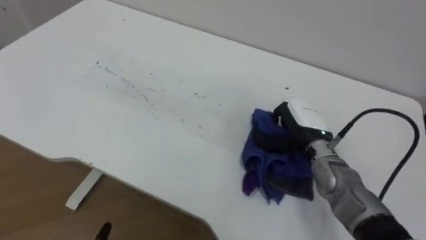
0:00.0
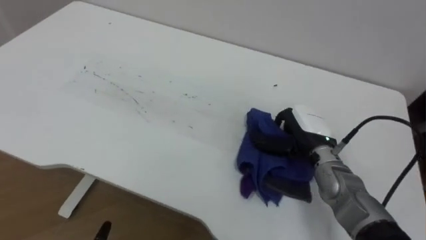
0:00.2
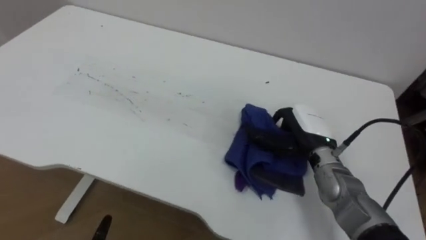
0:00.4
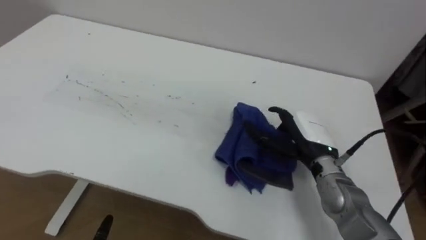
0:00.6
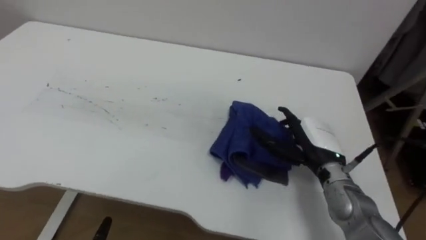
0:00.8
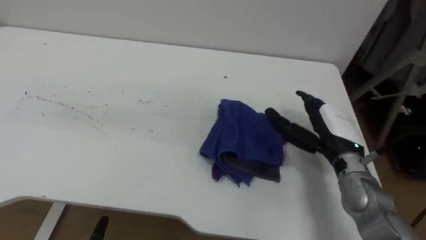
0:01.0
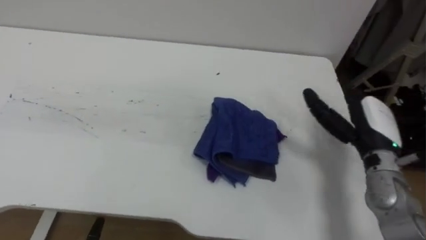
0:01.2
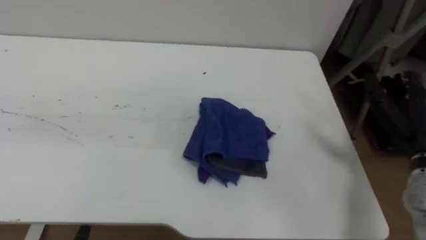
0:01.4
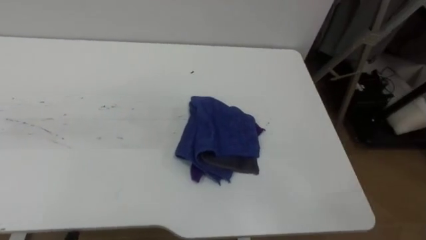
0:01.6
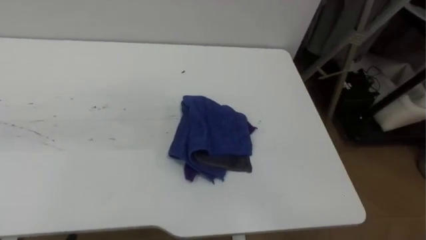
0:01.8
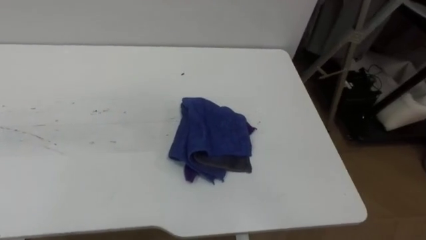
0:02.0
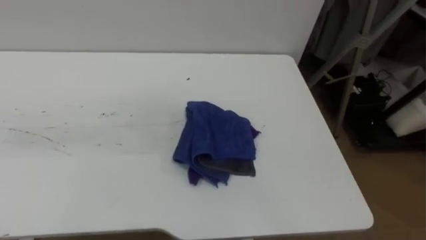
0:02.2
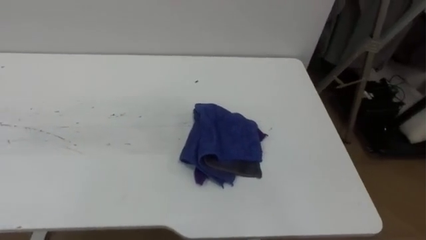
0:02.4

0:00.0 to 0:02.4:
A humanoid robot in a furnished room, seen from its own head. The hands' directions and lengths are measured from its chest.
Task of the whole recording: Wipe the blue pen marks off the table with the rag.
0:00.0 to 0:01.2: The right hand shifts approximately 10 cm to the right, and opens up.

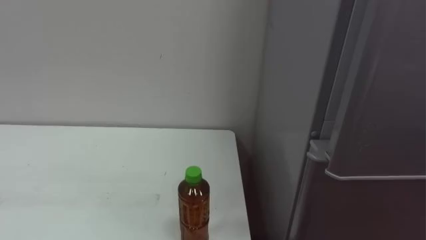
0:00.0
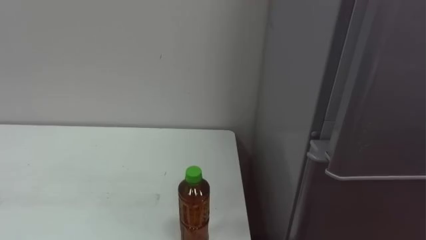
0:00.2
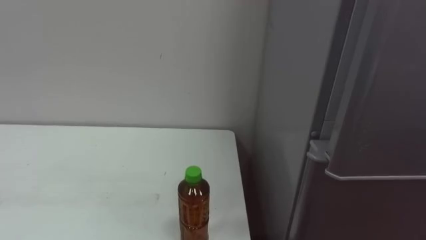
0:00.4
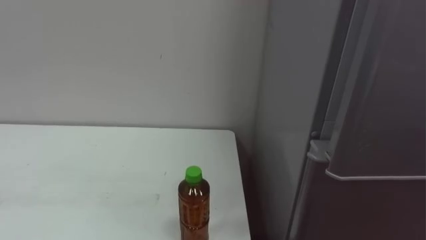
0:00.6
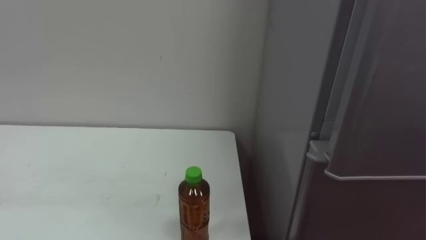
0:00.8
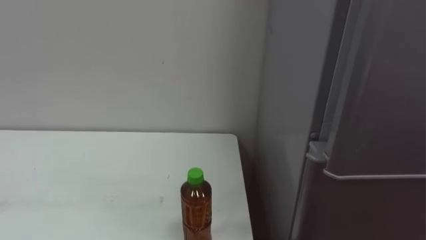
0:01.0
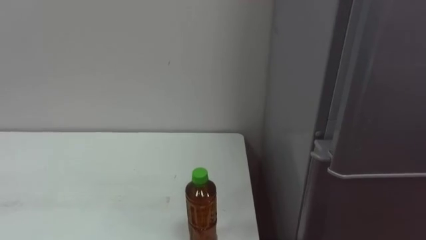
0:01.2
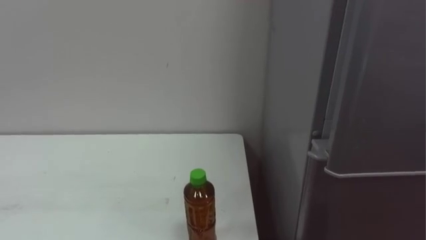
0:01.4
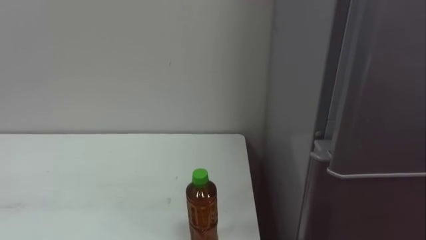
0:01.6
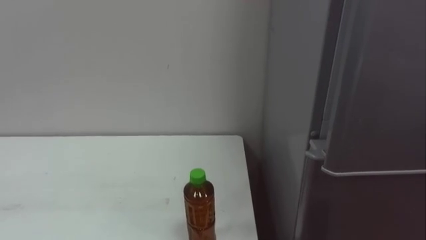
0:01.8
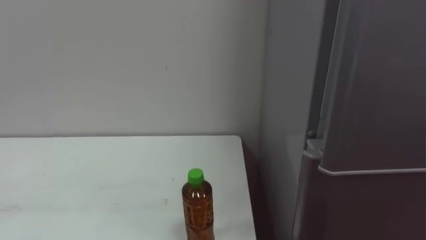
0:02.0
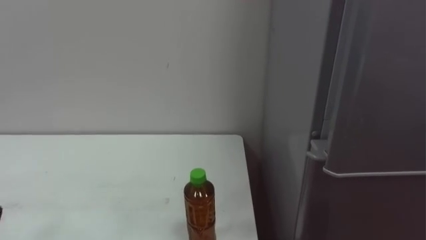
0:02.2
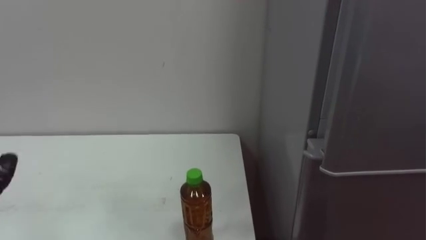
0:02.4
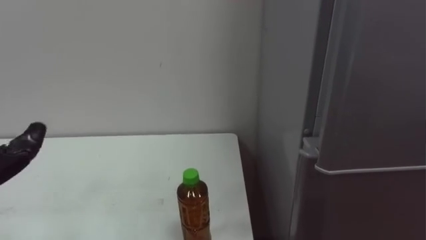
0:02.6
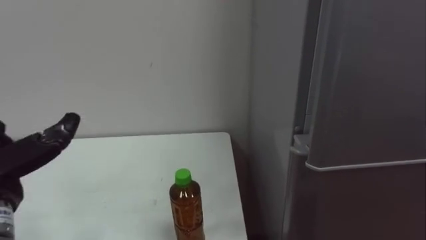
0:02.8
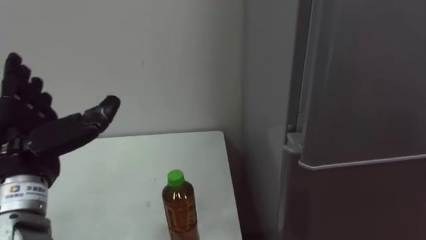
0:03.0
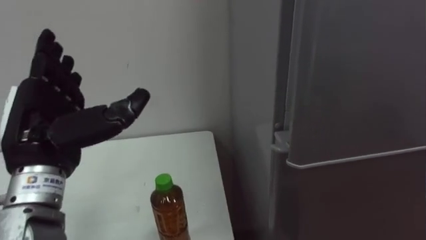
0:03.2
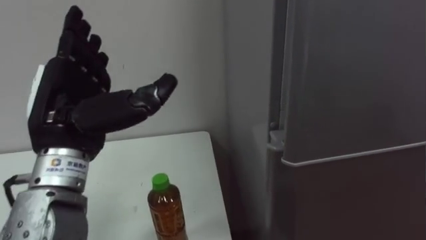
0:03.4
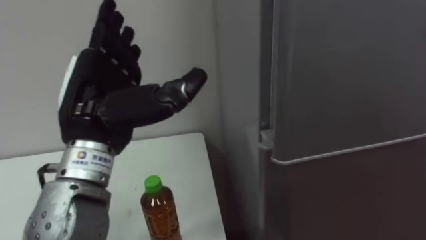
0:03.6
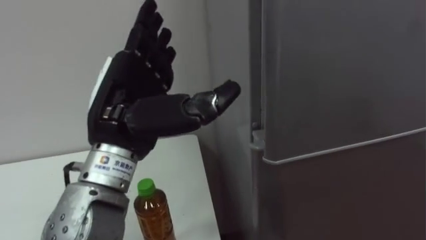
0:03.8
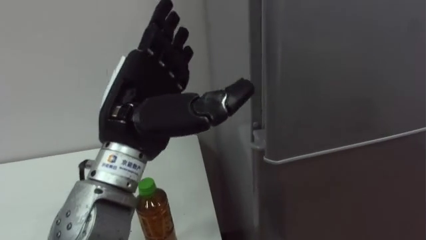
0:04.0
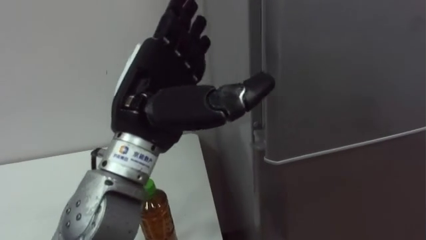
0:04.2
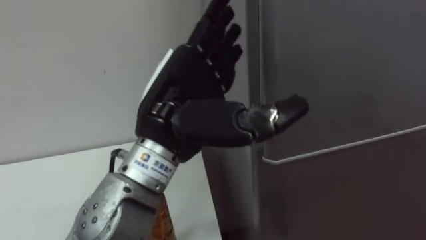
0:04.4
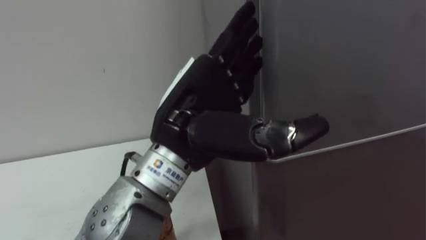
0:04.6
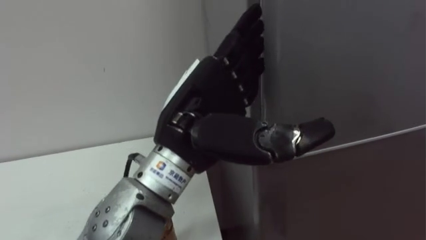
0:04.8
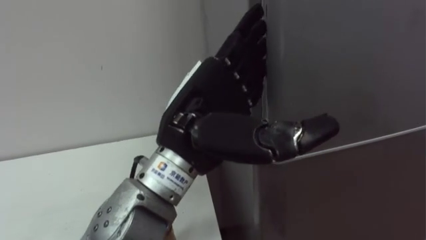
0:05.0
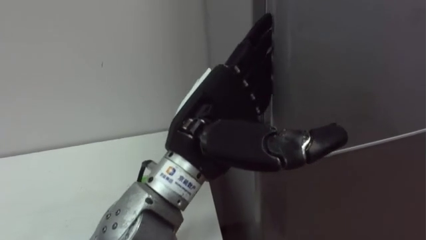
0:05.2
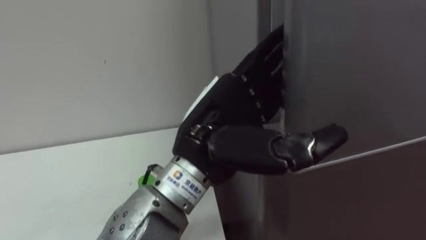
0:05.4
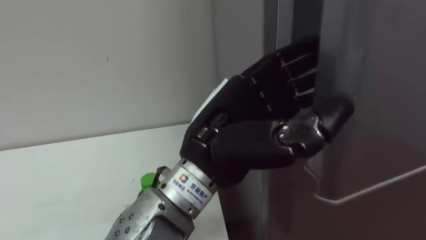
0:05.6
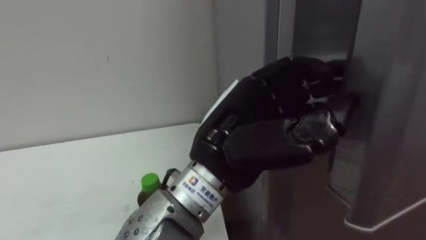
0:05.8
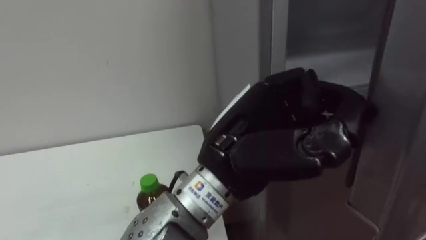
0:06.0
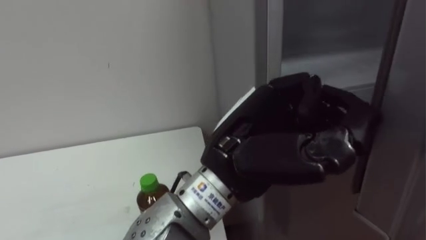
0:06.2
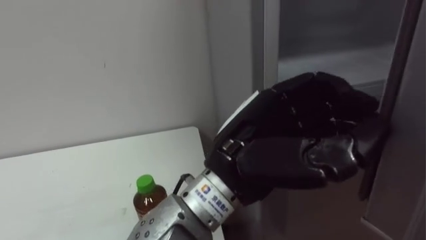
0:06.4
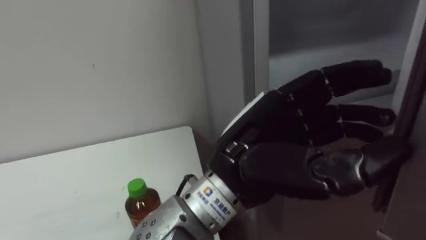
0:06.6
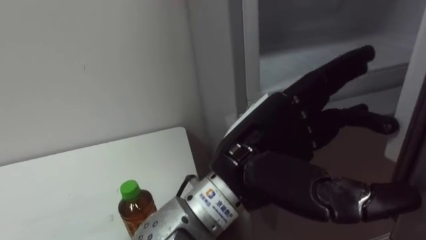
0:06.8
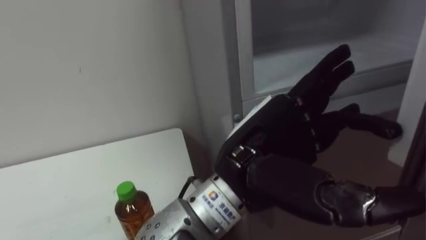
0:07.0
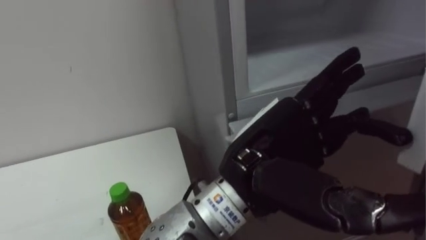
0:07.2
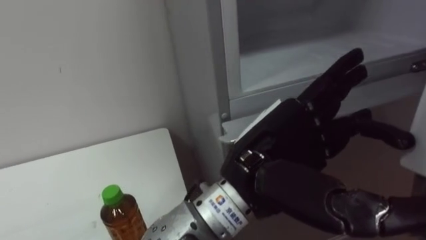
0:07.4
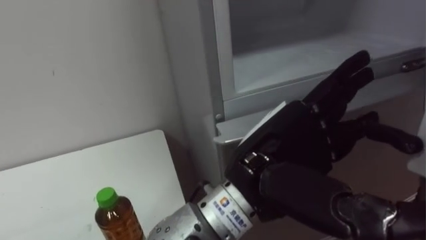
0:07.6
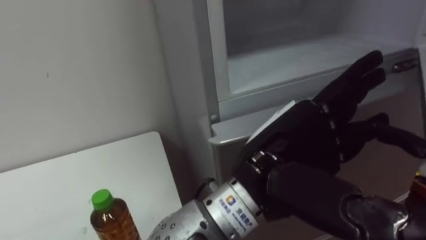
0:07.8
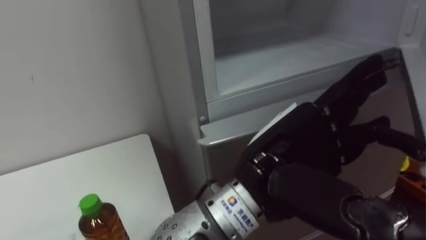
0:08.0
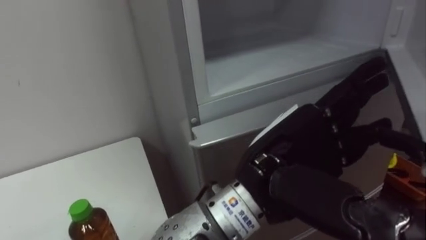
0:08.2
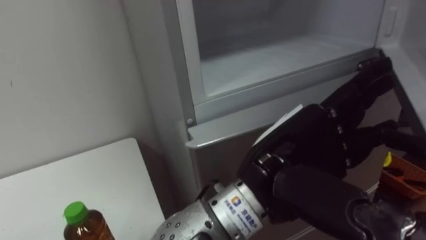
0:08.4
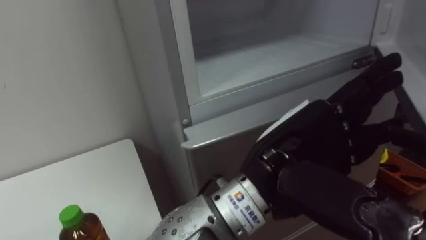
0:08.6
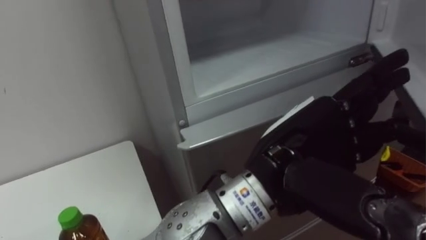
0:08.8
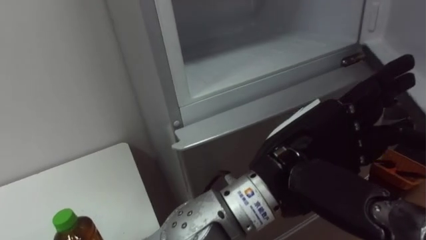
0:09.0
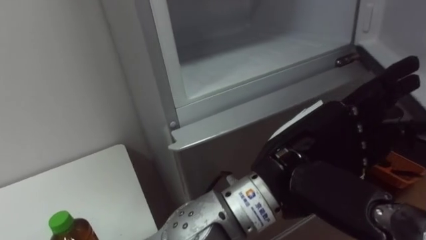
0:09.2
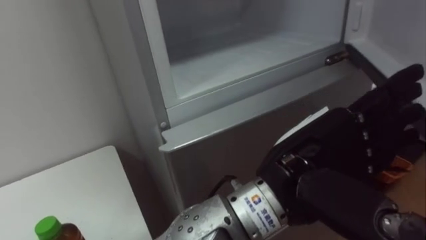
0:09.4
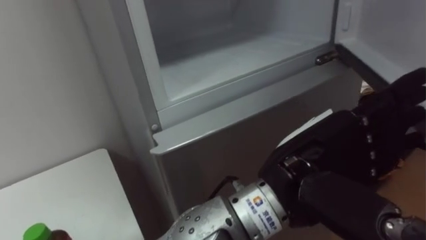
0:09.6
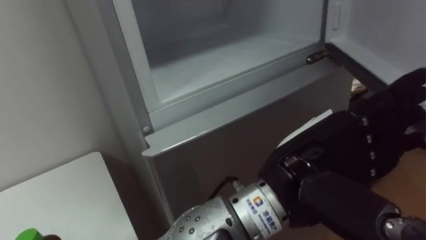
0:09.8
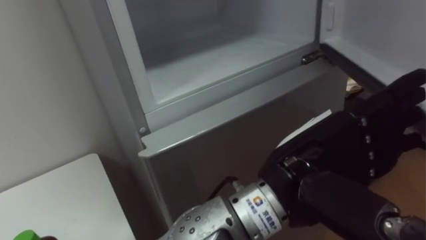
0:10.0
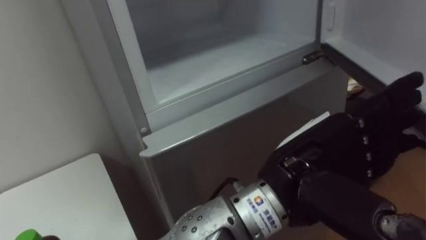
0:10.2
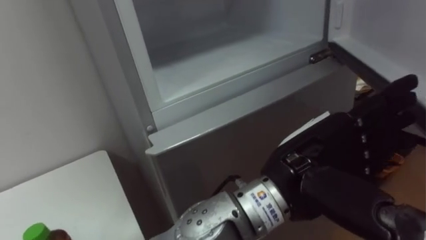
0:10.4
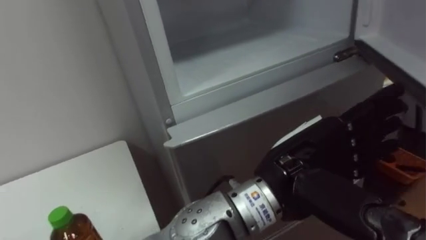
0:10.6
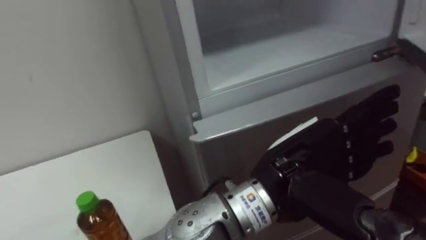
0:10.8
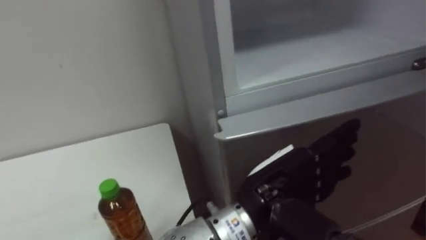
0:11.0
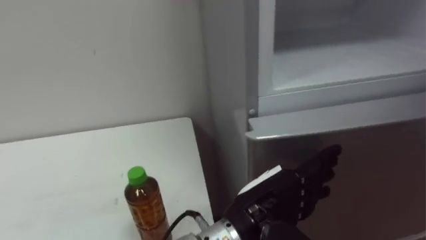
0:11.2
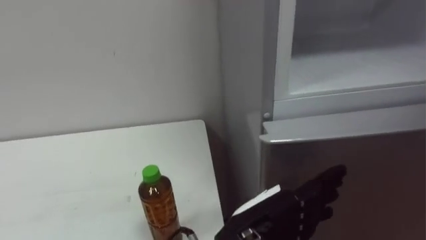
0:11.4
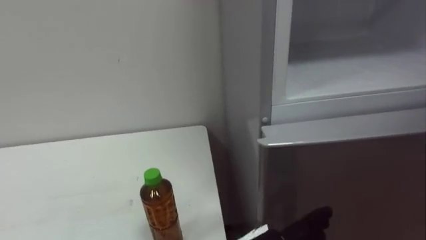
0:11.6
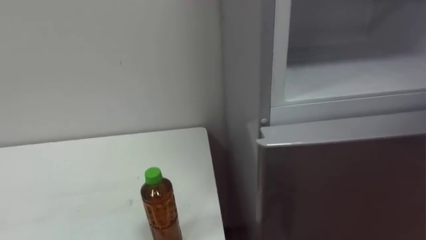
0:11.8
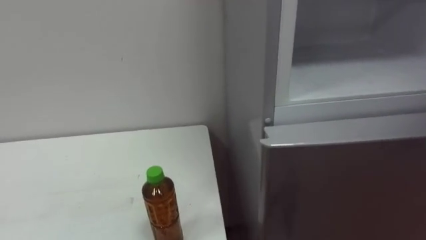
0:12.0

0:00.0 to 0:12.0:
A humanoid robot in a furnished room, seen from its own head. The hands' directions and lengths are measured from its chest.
Task of the whole recording: Open the upper refrigerator door, put the drink from the table into the refrigerator, and then close the refrigerator door.
0:03.0 to 0:04.4: The left hand is displaced to the right by some 20 cm.
0:04.4 to 0:06.0: The left hand moves to the right, roughly 5 cm, and closes up.
0:06.0 to 0:07.6: The left hand opens up.

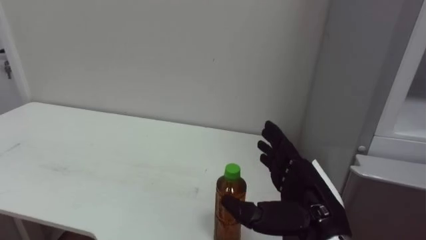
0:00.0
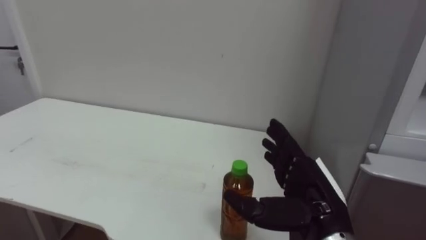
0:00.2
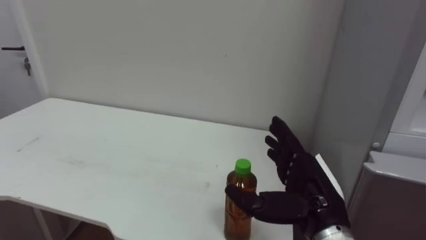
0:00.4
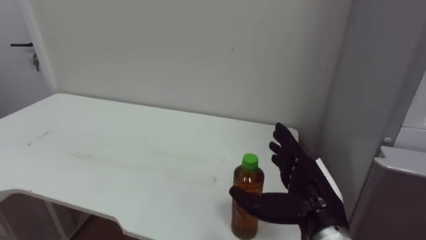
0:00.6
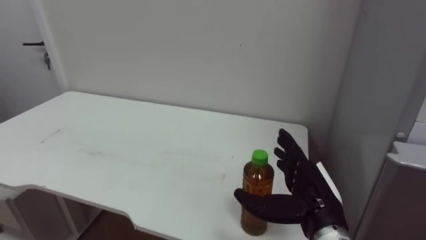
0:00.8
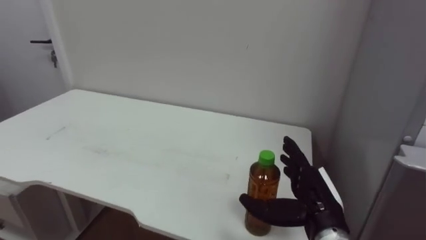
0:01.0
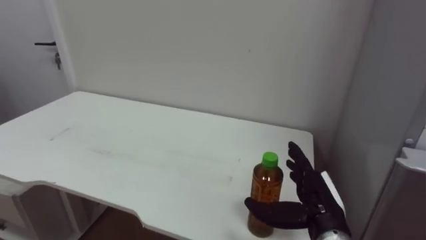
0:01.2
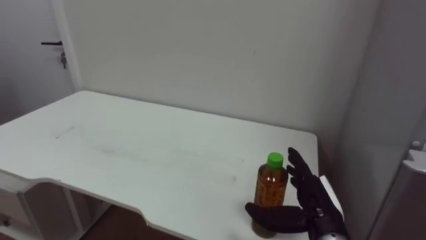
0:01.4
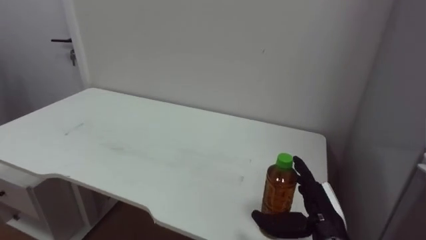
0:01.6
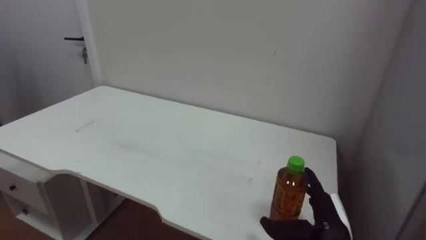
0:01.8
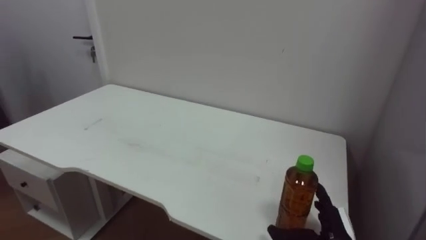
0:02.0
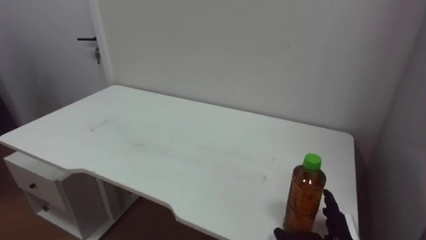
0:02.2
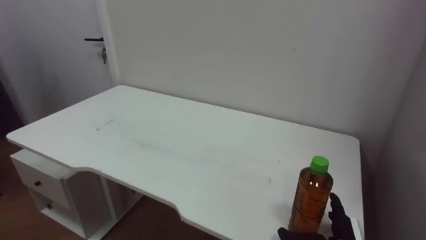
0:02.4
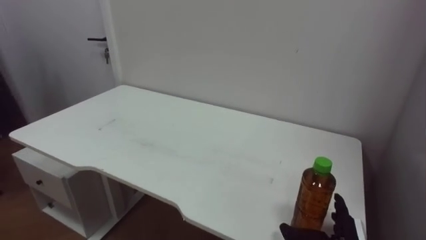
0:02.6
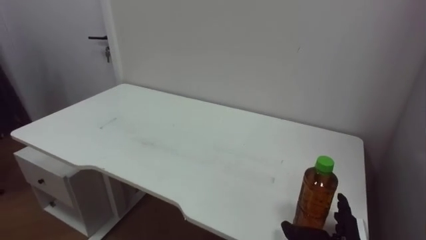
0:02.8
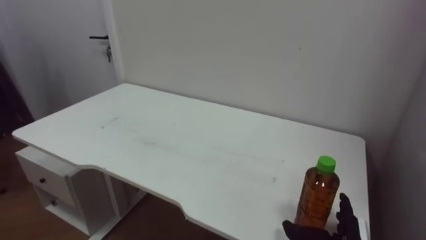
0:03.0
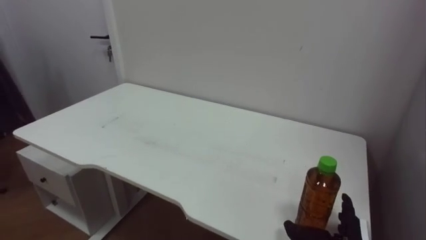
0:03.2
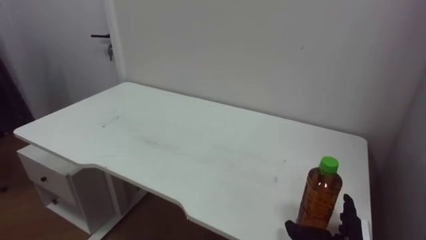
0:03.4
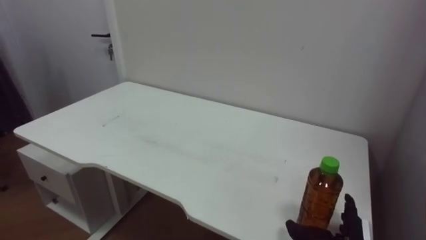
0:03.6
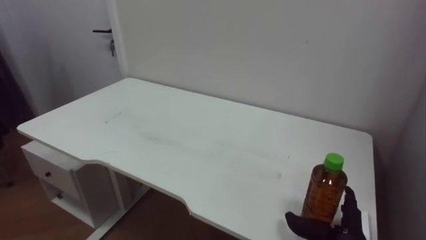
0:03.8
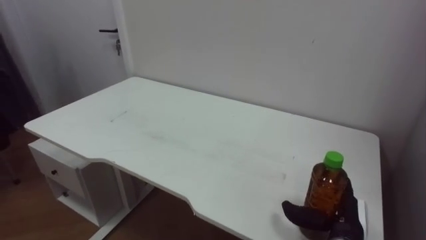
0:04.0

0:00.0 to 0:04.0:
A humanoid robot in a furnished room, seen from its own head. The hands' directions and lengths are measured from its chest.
Task of the whole recording: Open the upper refrigerator door, put the drink from the table into the refrigerator, and then close the refrigerator door.
0:00.0 to 0:01.4: The right hand moves downward, about 5 cm.
0:01.4 to 0:02.6: The right hand shifts about 10 cm downward and to the right.
